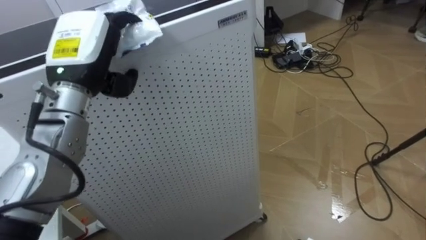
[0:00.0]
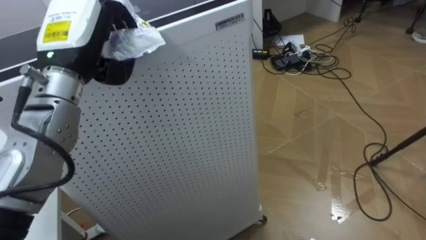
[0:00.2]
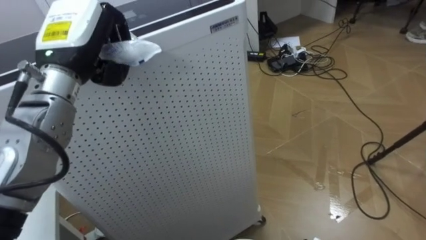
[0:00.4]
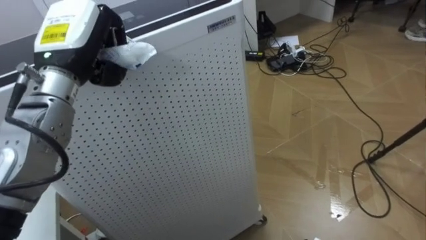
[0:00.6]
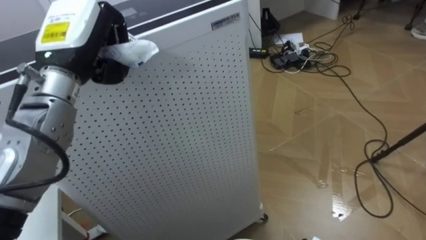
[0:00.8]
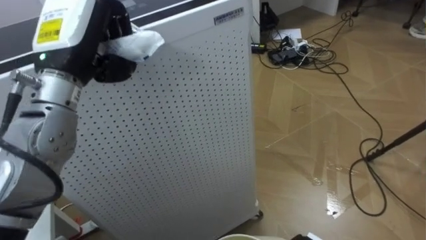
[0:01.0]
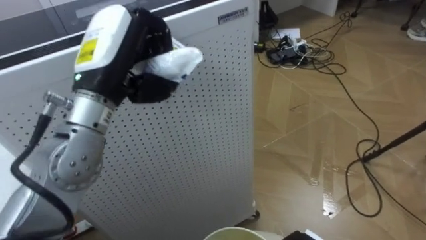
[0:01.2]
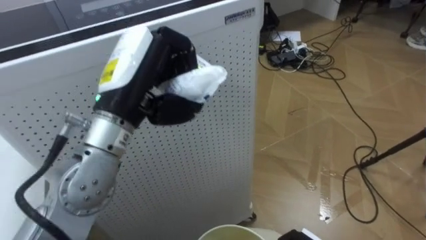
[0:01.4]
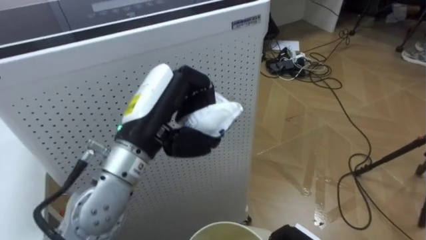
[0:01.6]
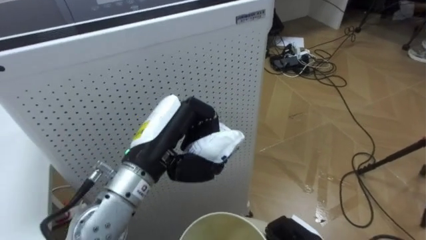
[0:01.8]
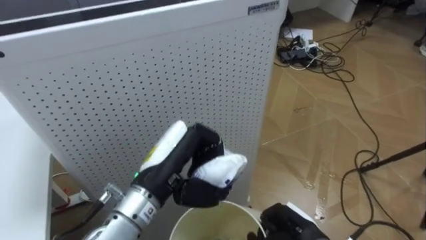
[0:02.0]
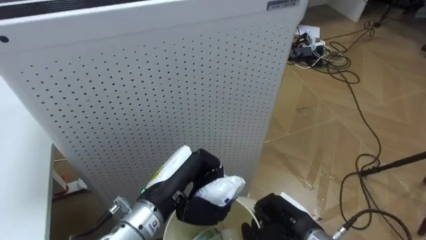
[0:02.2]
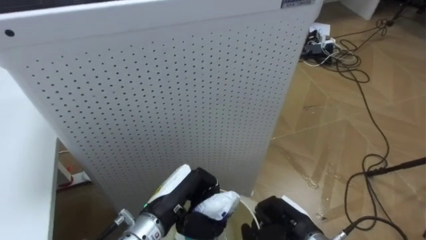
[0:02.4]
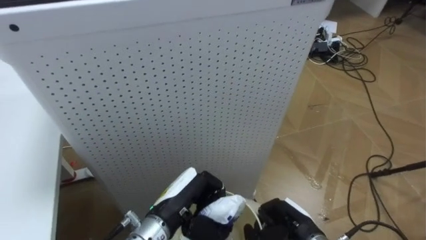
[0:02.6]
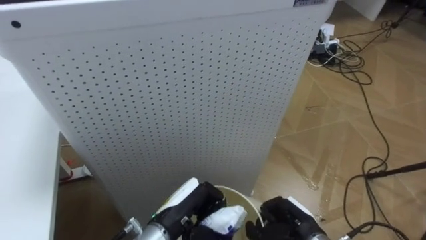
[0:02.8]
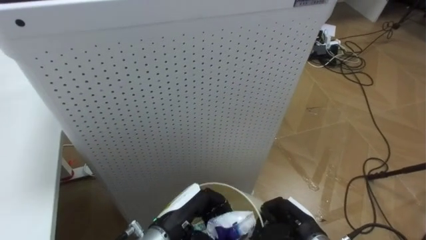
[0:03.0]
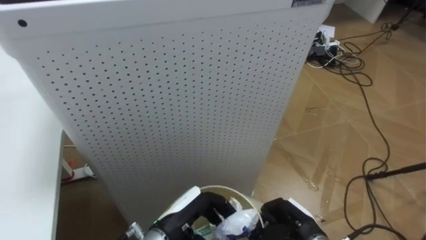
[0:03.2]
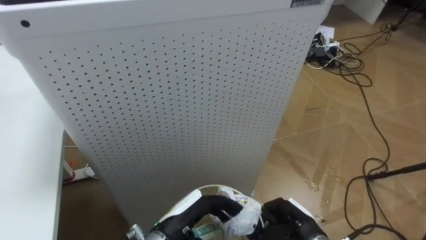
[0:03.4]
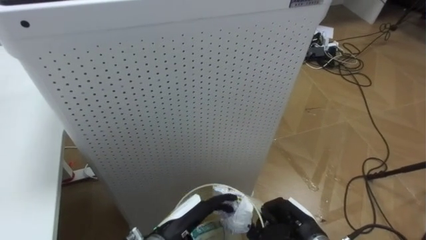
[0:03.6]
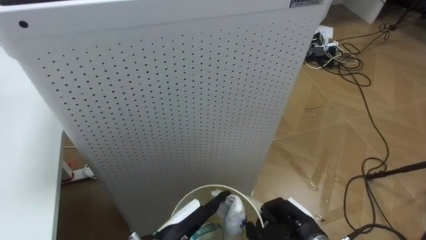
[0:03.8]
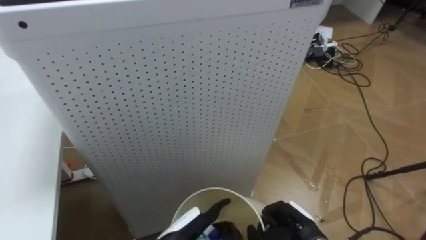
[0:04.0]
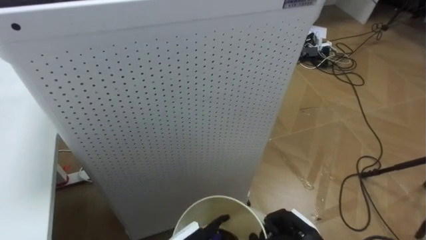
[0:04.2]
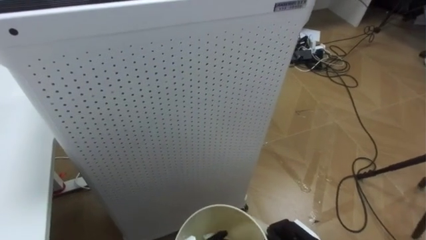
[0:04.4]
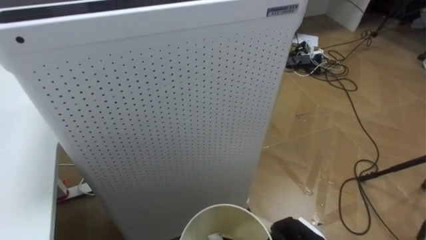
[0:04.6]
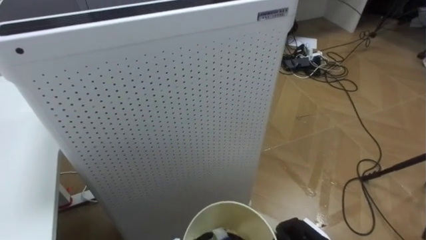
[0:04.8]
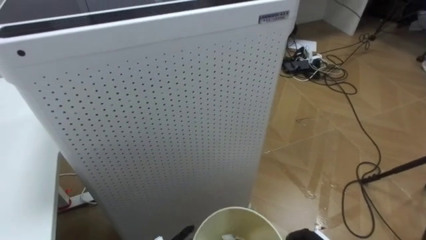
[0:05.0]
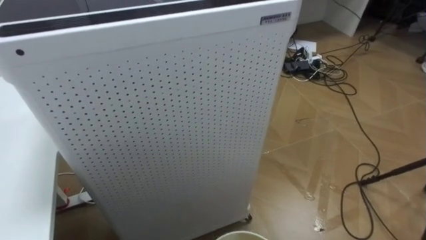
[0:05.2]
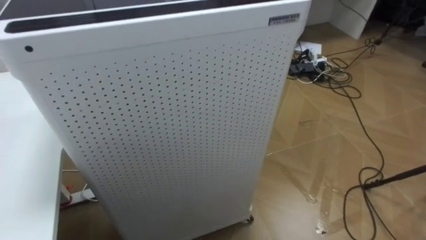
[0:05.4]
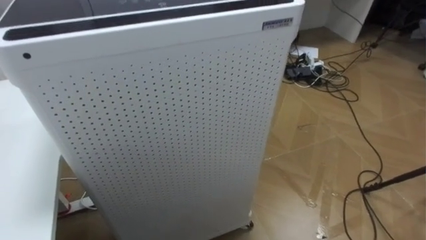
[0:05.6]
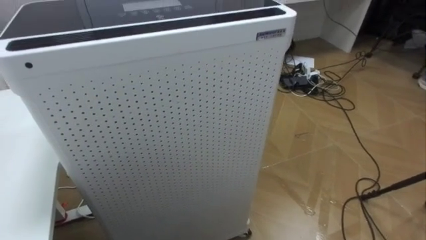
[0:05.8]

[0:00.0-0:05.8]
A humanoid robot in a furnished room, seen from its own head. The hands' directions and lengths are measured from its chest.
Task of the whole recording: Pick up the light blue package, the candy box, and the dark blue package separately, and put them into the trash can held in your right hand.
0:00.0 to 0:01.4: The left hand goes some 10 cm to the right and backward, and closes.
0:01.4 to 0:02.8: The left hand moves downward, about 25 cm.

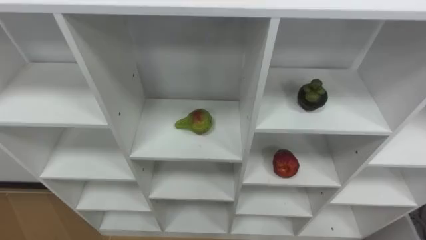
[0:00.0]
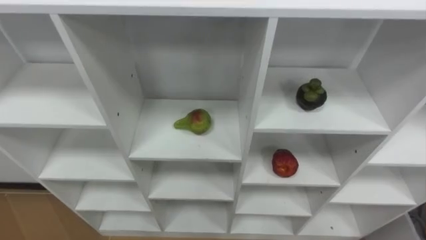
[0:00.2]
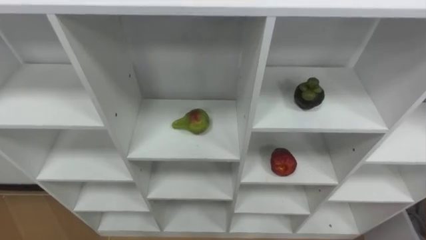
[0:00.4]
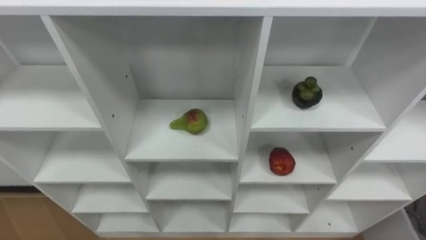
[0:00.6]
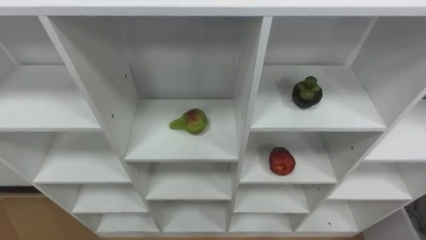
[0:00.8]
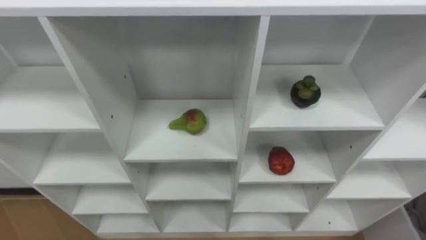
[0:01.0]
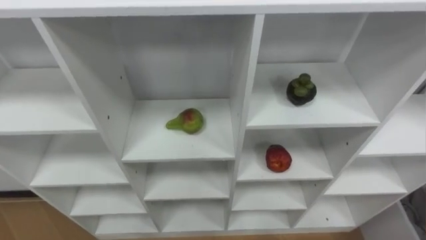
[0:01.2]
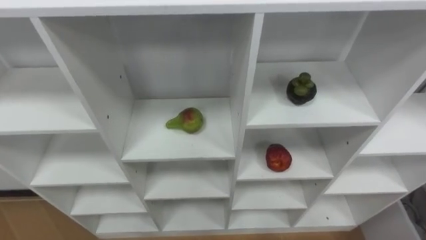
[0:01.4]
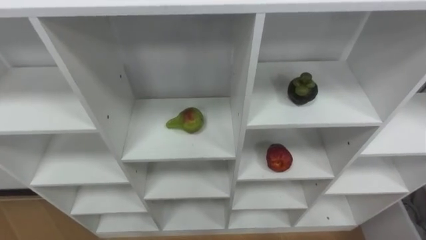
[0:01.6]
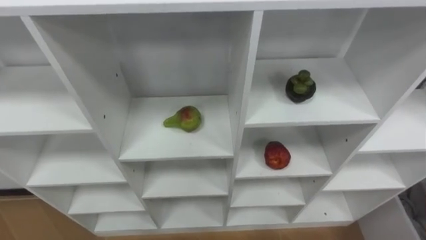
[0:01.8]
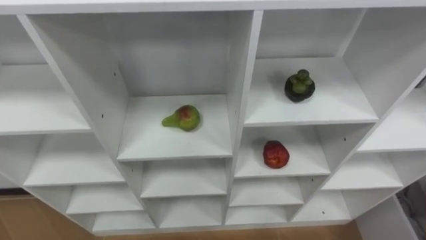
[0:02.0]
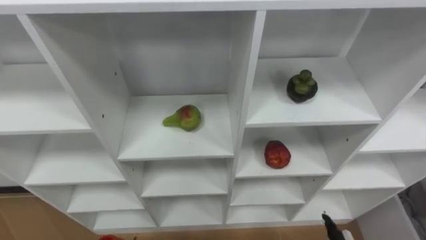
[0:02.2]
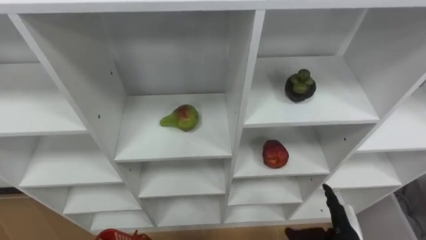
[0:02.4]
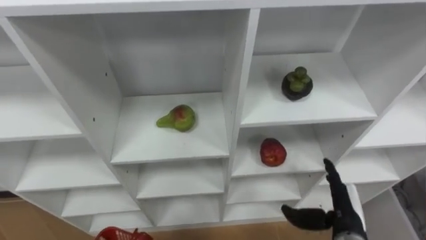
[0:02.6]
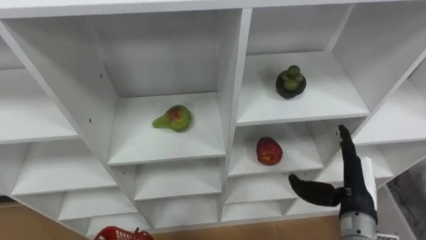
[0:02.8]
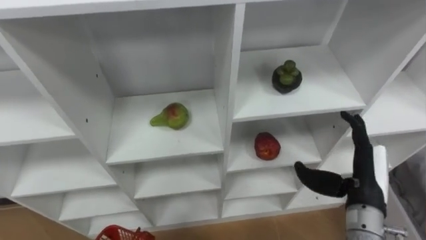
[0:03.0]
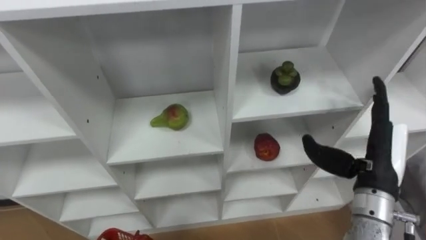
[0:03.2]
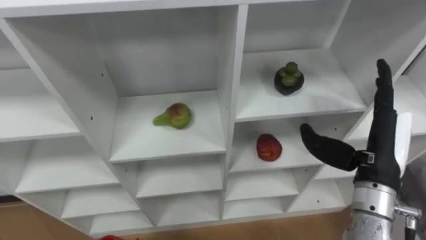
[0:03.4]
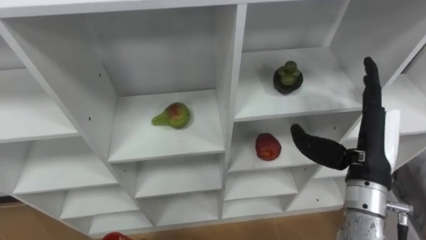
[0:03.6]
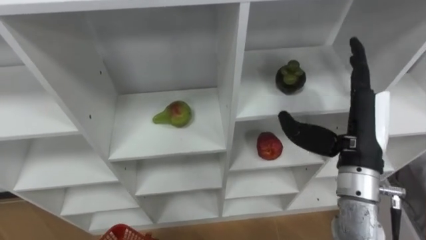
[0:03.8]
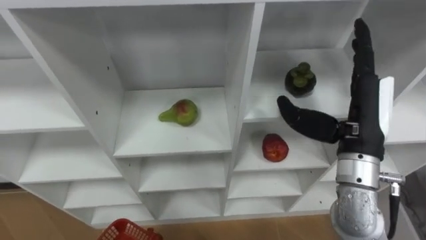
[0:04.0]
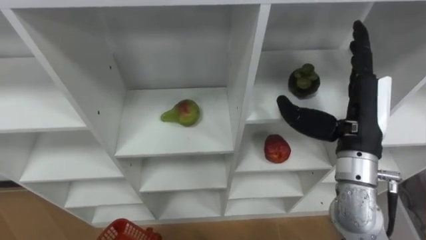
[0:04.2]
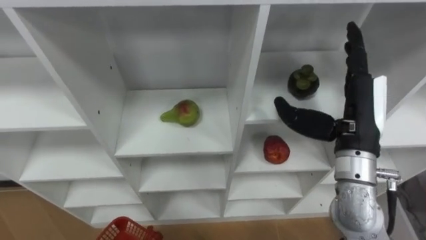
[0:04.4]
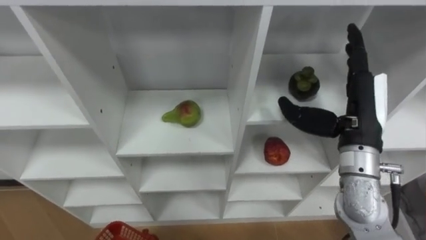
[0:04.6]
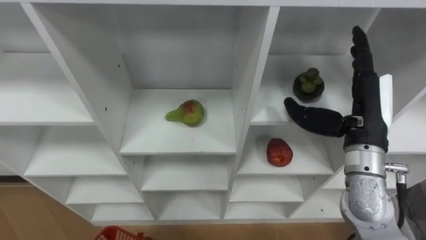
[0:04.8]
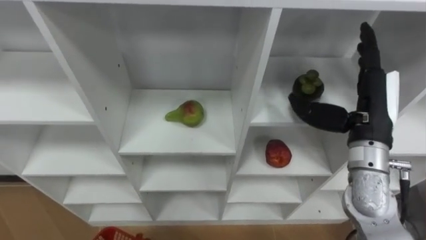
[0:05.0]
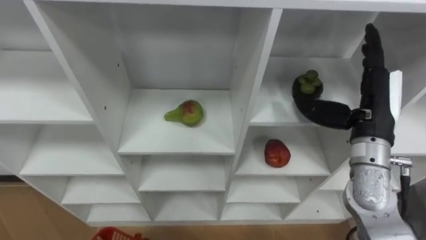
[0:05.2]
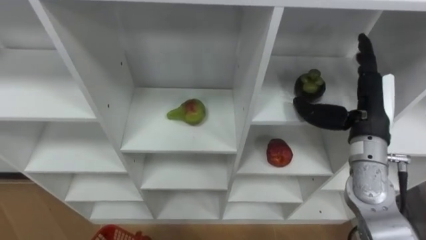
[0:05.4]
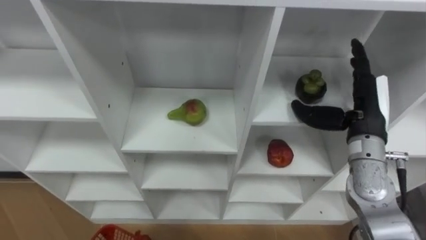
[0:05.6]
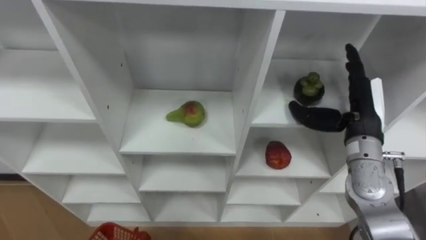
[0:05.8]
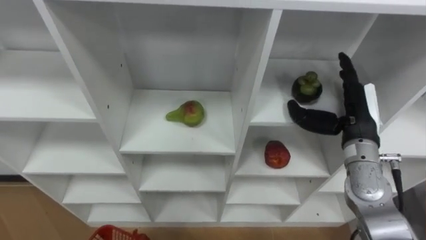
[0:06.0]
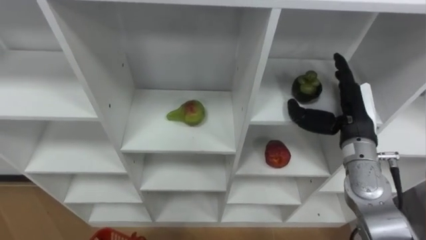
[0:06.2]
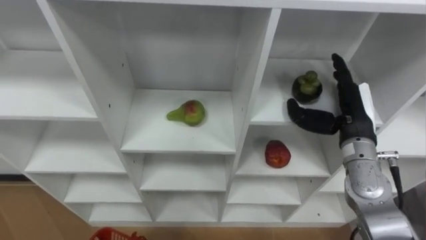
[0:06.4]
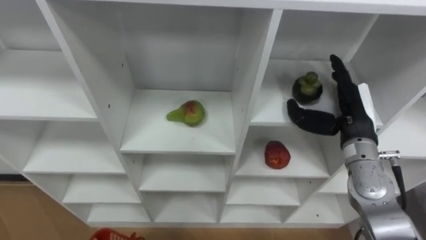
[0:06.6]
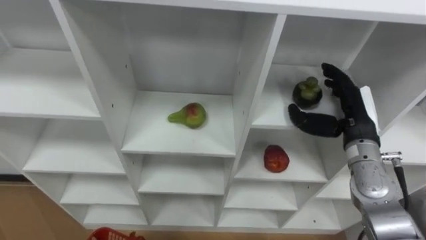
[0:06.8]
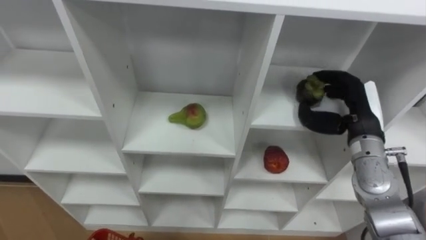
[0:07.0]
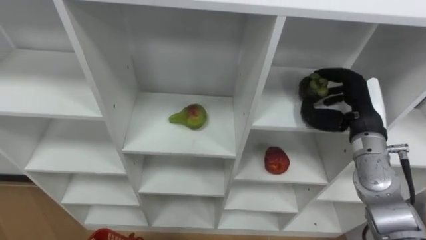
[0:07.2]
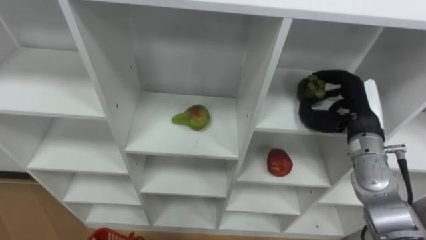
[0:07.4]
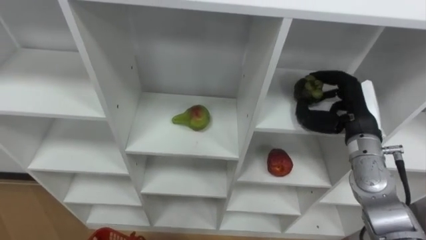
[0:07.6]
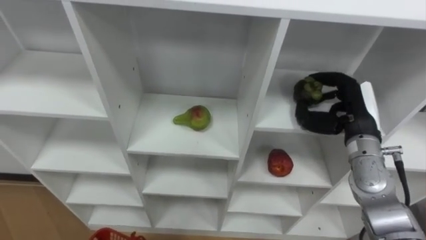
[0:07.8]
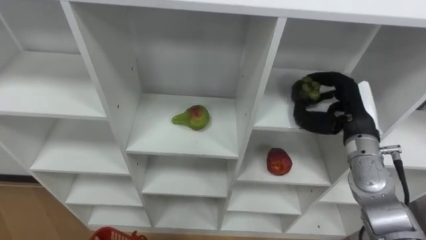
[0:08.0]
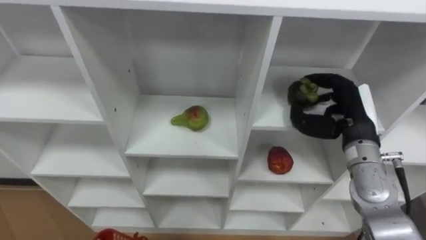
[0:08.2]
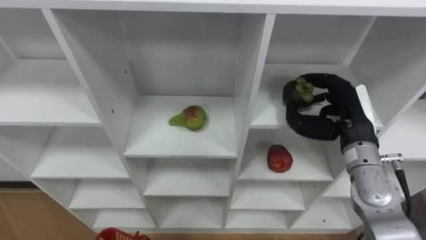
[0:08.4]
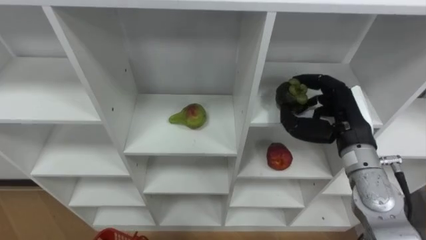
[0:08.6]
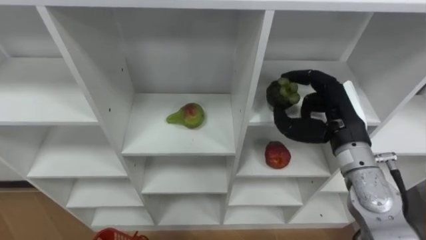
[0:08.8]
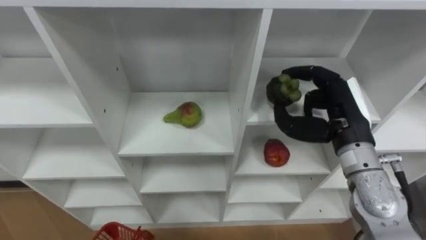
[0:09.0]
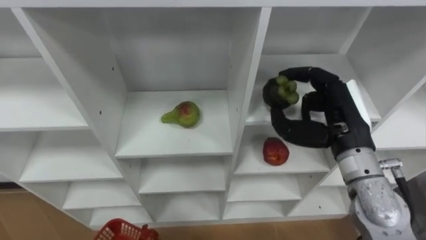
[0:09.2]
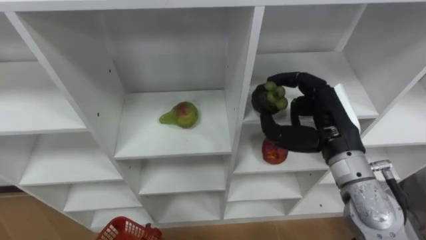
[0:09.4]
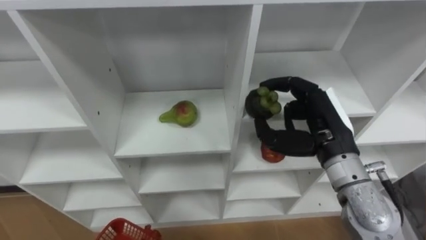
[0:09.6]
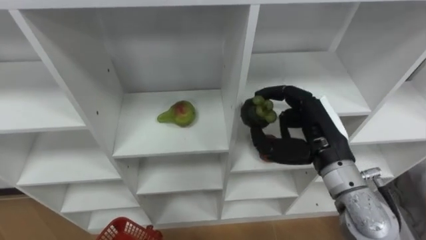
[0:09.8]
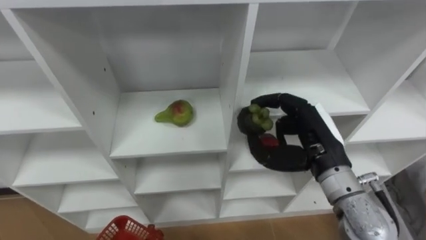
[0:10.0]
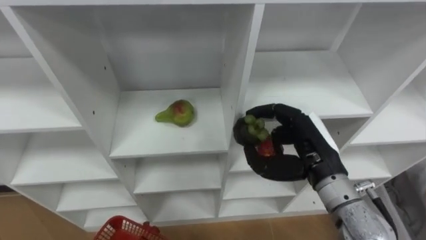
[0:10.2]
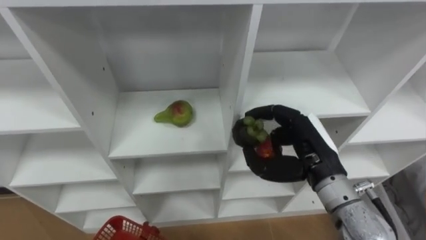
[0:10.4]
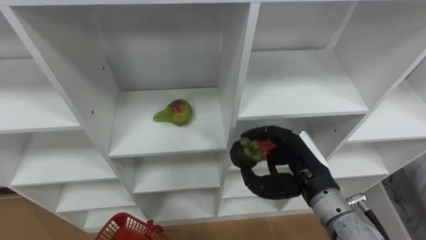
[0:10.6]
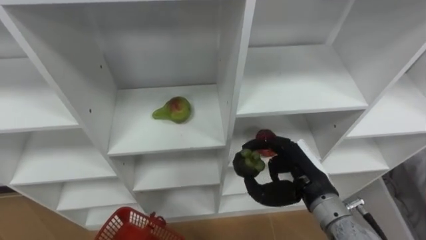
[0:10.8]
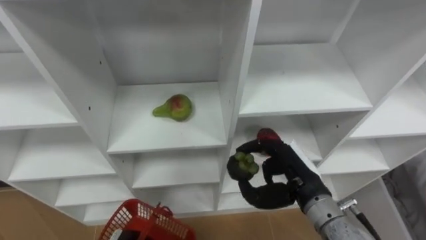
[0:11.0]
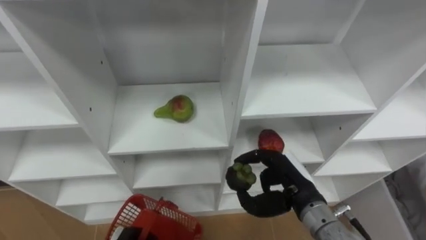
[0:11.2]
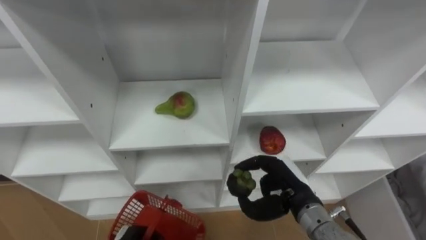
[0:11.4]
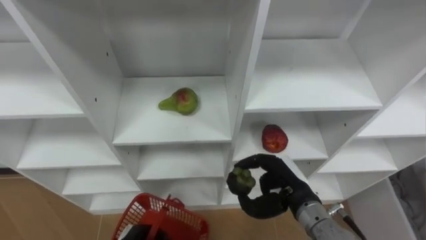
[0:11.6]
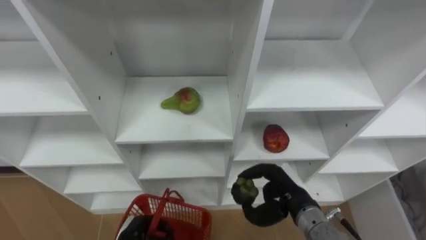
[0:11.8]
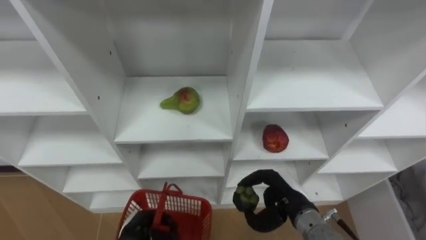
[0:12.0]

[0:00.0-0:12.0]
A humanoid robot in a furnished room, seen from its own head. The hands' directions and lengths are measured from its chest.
Task of the whole recording: Hold the basket and collect the fruits from 3 different cells of the closet into it.
0:03.0 to 0:04.4: The right hand moves upward, some 10 cm.
0:04.4 to 0:06.0: The right hand is displaced downward by approximately 5 cm.
0:06.0 to 0:07.6: The right hand closes its fingers.
0:07.6 to 0:09.0: The right hand moves approximately 5 cm.
0:09.0 to 0:10.4: The right hand changes place by about 5 cm.
0:10.4 to 0:12.0: The right hand is displaced downward by roughly 15 cm.
